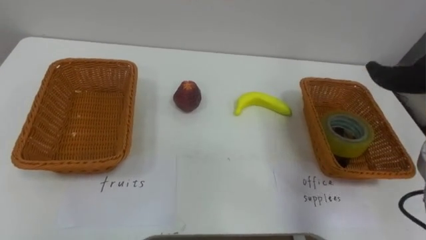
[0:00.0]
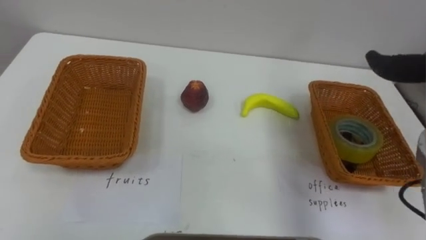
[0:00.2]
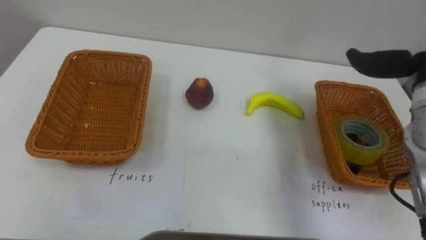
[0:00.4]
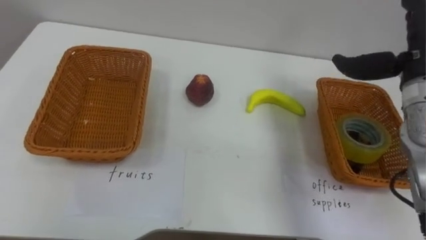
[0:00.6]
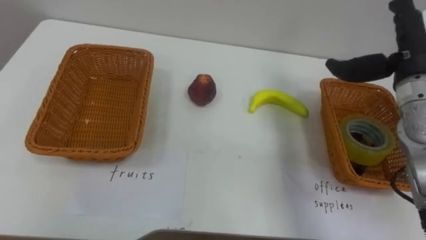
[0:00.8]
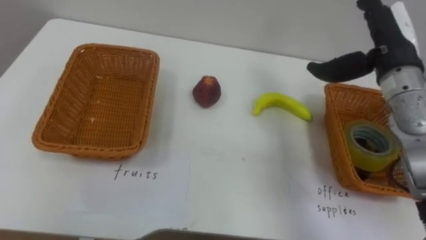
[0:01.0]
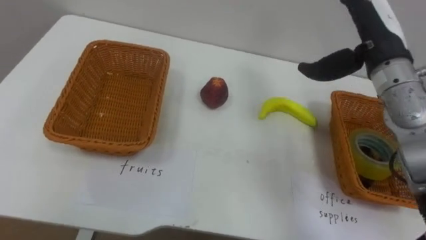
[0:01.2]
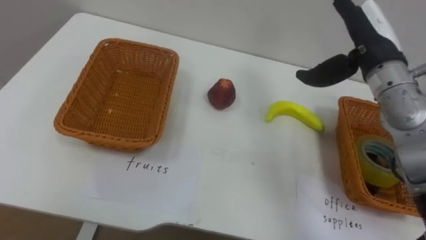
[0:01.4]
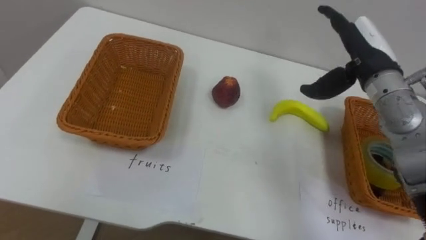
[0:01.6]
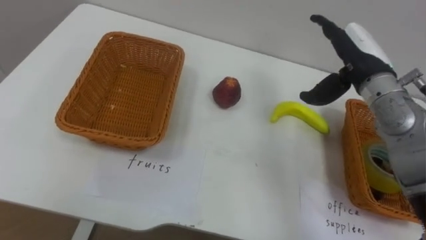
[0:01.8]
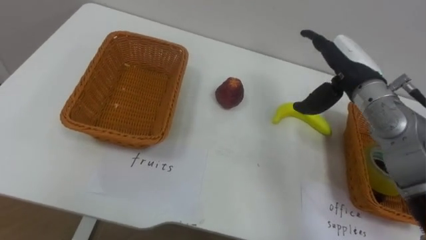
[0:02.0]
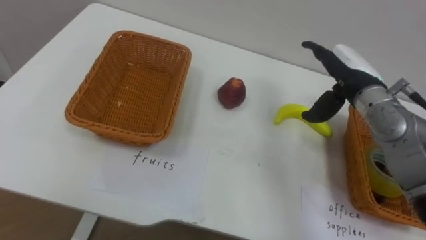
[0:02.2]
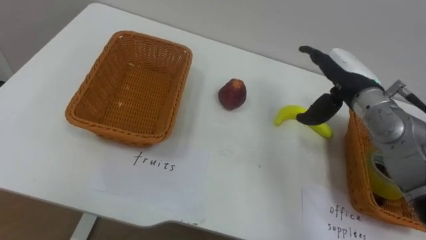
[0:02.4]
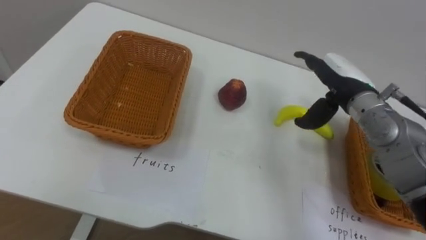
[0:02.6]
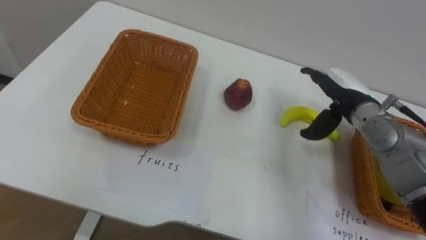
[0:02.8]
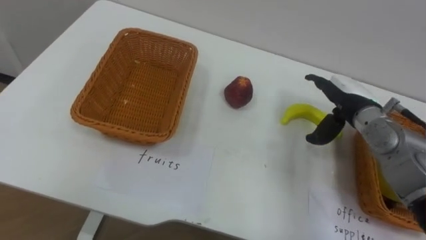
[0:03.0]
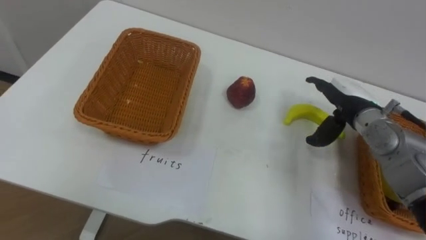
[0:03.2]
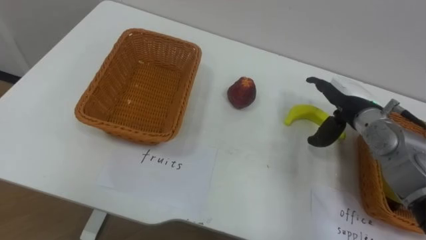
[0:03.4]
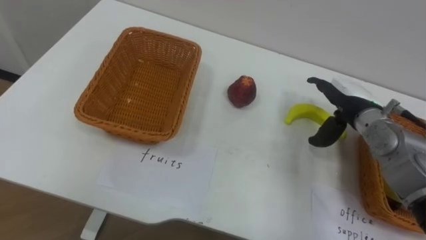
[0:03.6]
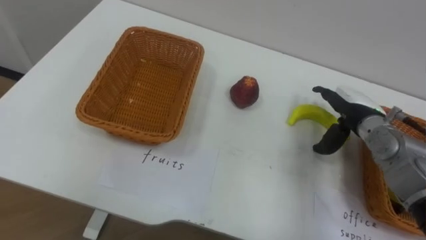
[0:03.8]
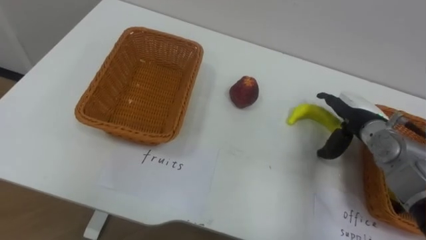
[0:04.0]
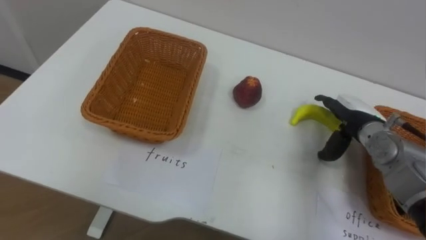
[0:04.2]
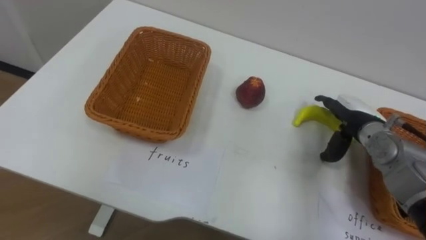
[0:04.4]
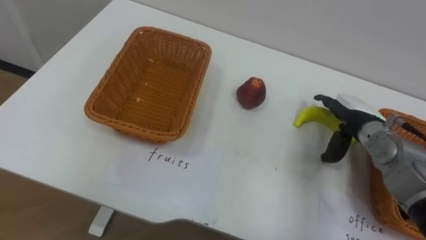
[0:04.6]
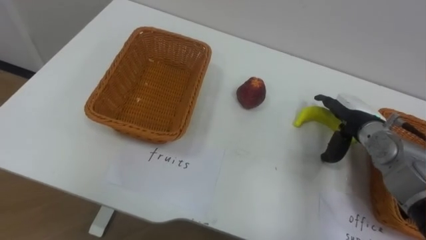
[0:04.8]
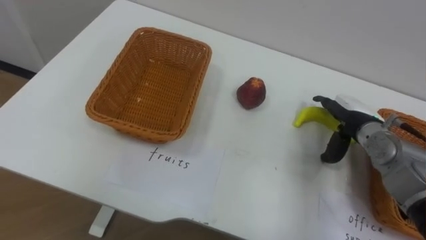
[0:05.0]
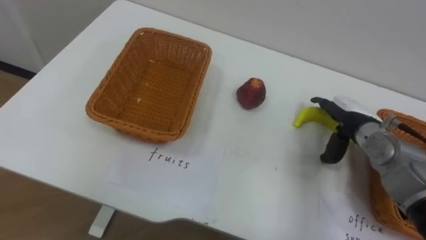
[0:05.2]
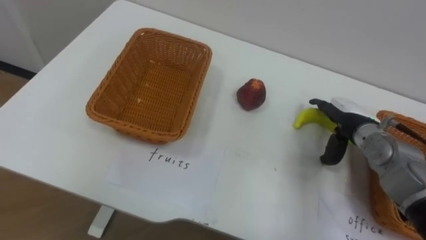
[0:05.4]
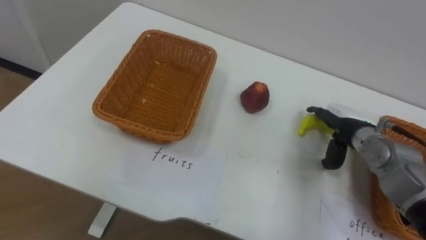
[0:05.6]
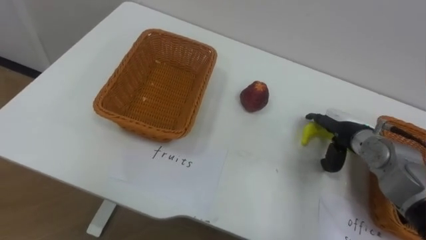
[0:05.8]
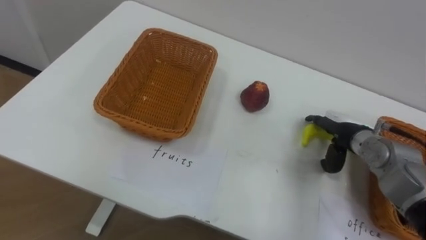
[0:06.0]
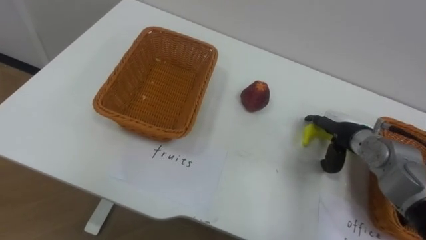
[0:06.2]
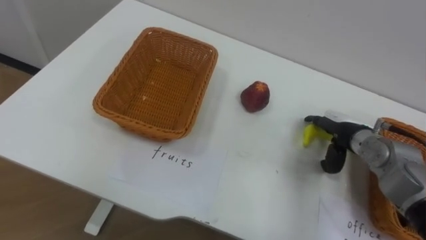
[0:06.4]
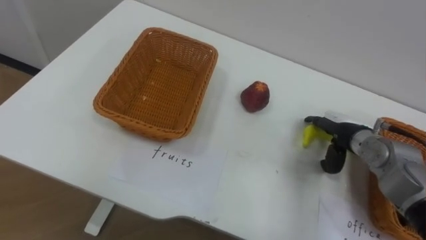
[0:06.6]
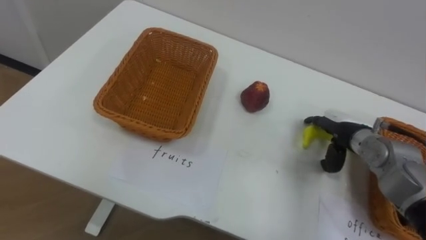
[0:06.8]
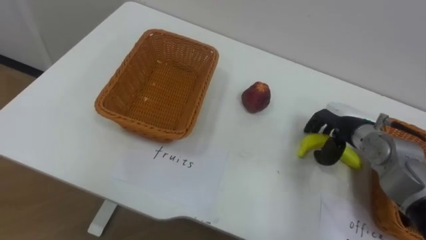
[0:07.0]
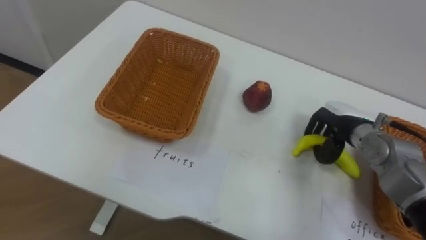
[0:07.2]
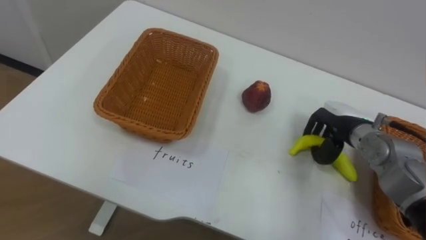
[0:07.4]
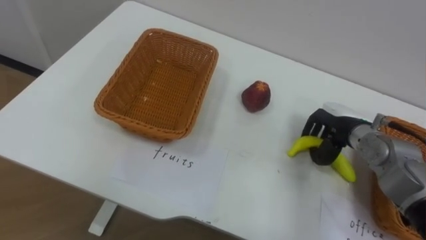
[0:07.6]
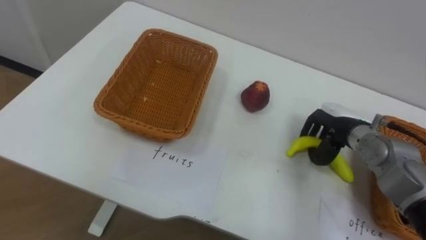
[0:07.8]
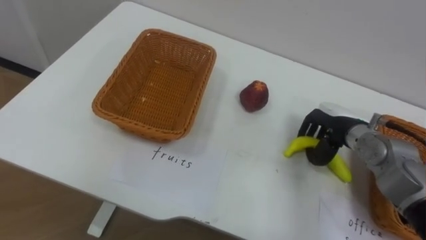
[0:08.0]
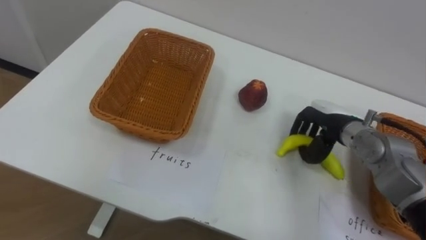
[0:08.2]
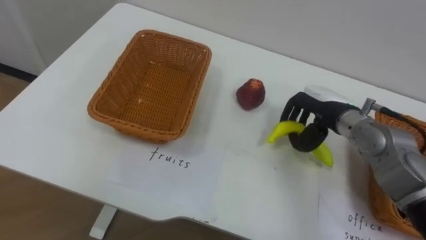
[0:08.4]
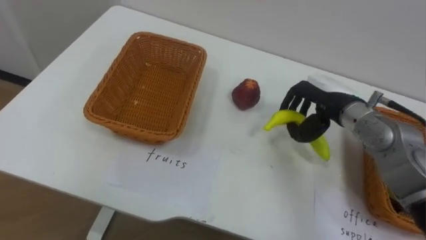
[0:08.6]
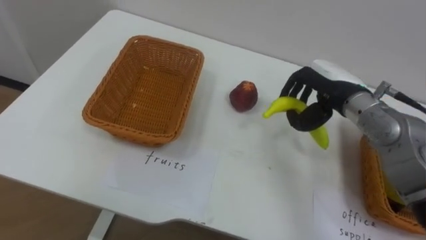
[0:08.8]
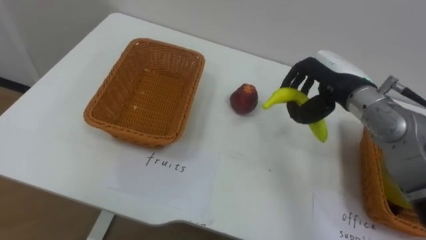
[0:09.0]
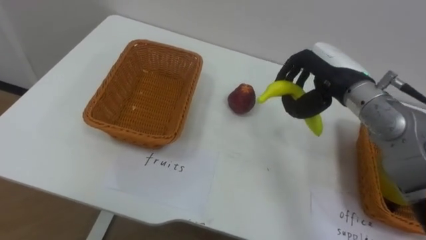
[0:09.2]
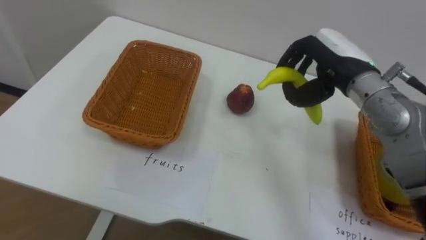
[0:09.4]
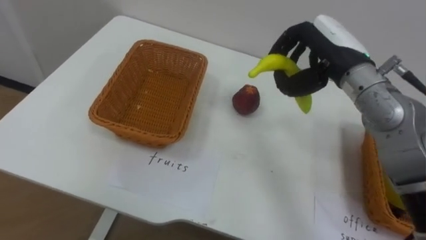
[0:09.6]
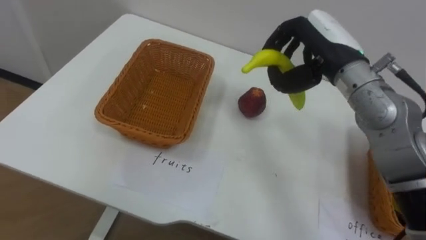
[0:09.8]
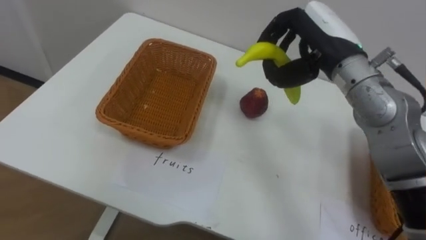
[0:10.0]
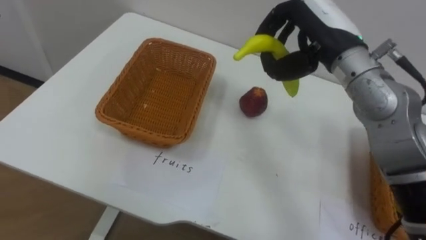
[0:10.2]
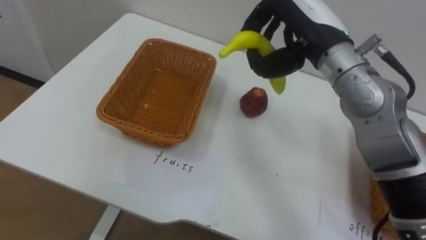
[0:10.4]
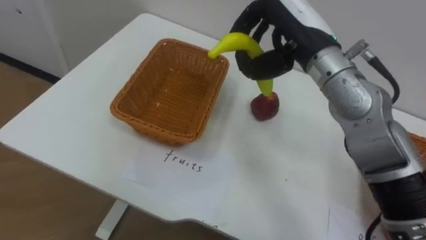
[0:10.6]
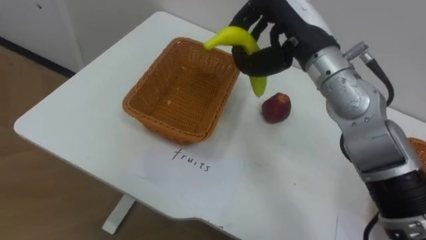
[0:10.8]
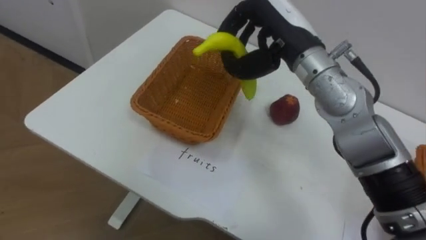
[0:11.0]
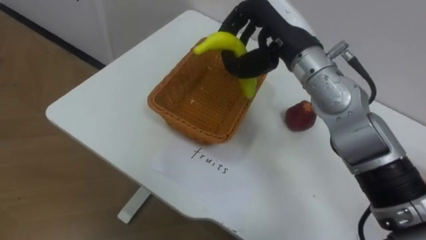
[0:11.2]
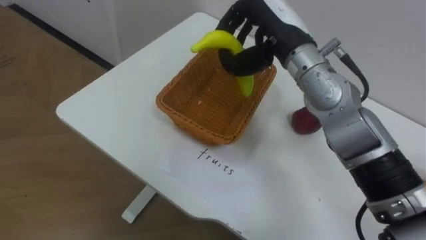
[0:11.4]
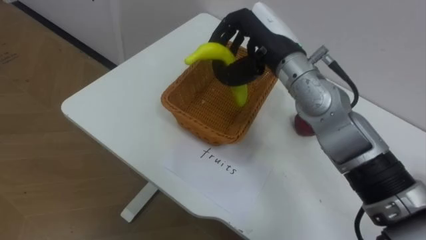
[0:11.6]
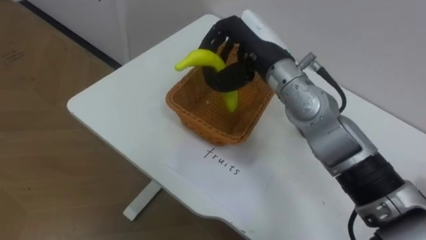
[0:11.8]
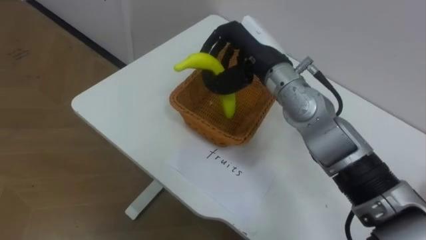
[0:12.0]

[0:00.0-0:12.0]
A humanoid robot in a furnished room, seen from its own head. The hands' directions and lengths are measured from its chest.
Task of the whole recording: Separate the items on the table and place them into the two baskets.
0:01.6 to 0:03.0: The right hand travels downward by approximately 10 cm.
0:06.0 to 0:07.6: The right hand closes its fingers.
0:07.6 to 0:09.0: The right hand shifts roughly 10 cm upward.
0:09.0 to 0:10.4: The right hand travels upward and to the left by some 10 cm.
0:10.4 to 0:12.0: The right hand shifts about 10 cm to the left and downward.

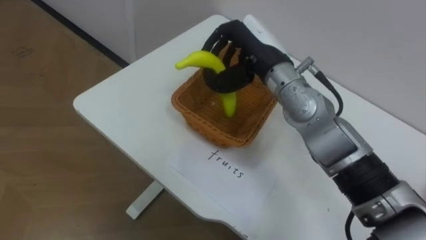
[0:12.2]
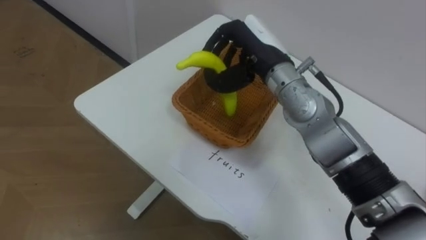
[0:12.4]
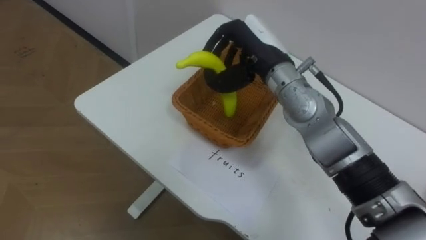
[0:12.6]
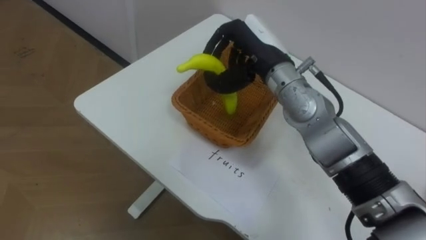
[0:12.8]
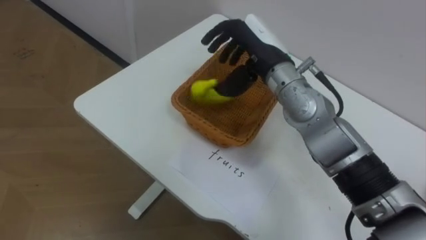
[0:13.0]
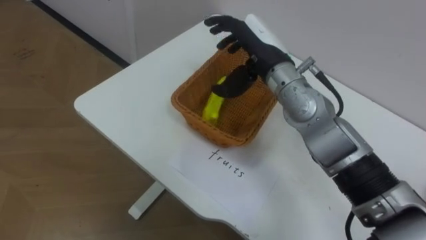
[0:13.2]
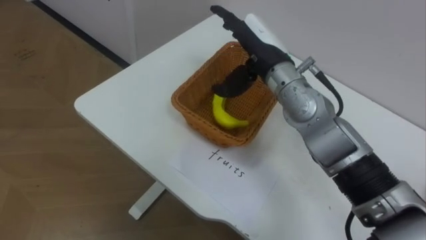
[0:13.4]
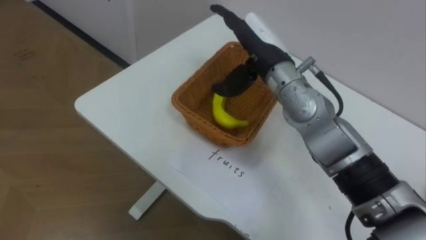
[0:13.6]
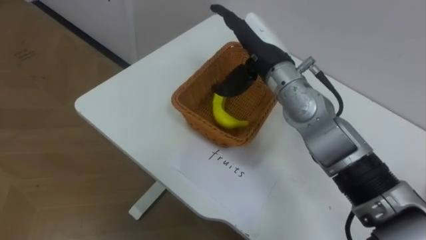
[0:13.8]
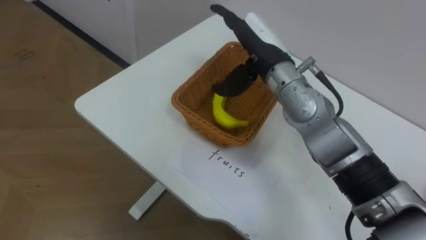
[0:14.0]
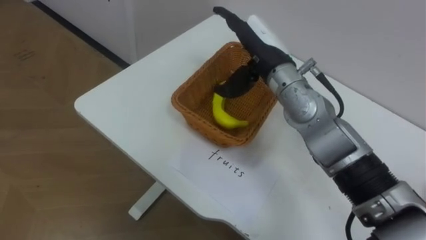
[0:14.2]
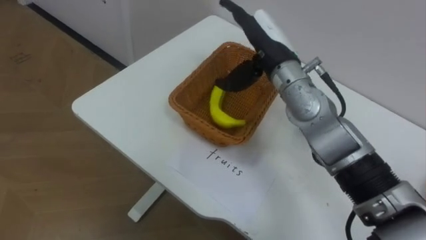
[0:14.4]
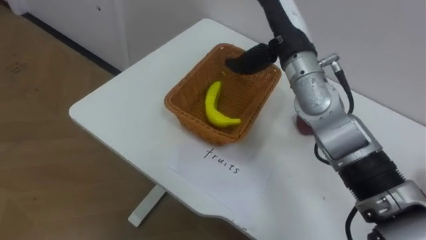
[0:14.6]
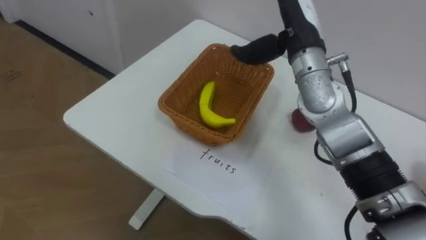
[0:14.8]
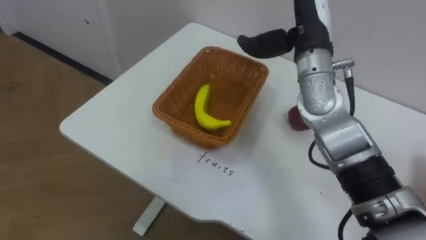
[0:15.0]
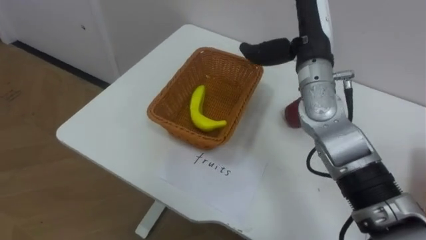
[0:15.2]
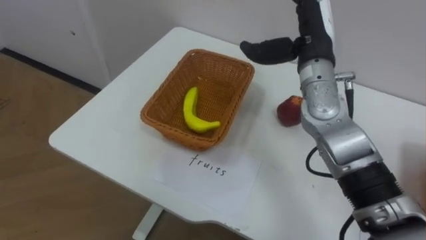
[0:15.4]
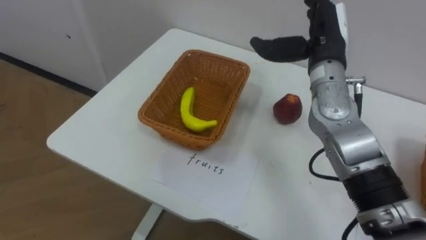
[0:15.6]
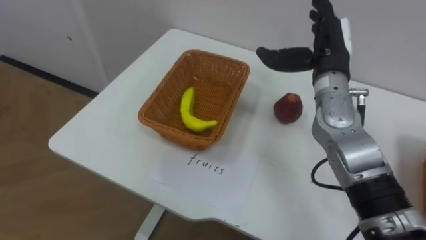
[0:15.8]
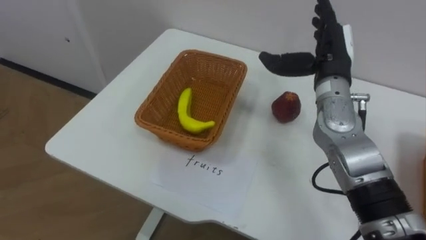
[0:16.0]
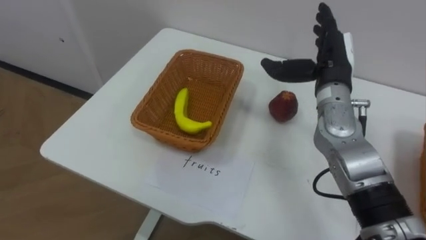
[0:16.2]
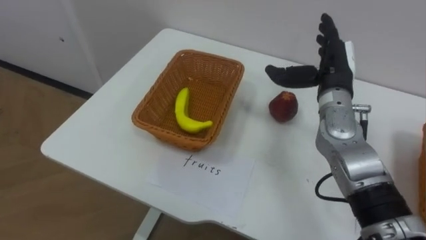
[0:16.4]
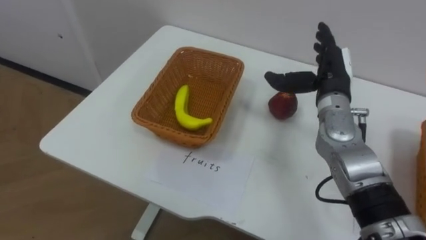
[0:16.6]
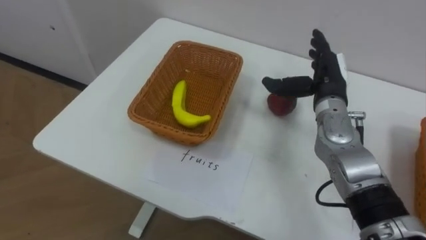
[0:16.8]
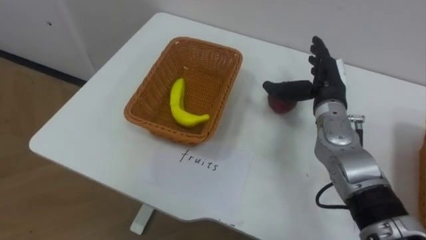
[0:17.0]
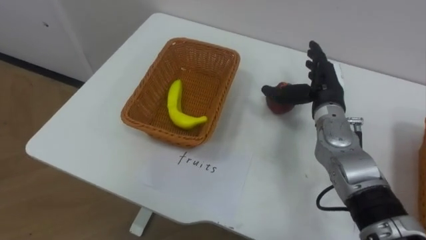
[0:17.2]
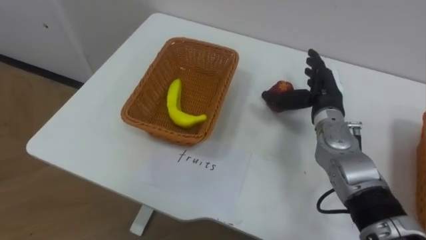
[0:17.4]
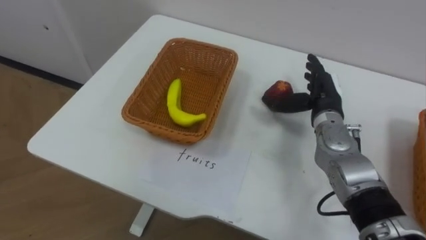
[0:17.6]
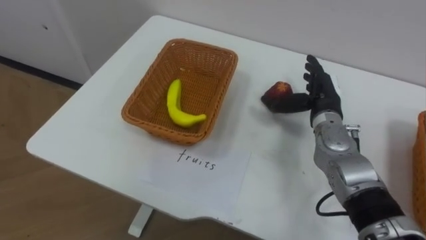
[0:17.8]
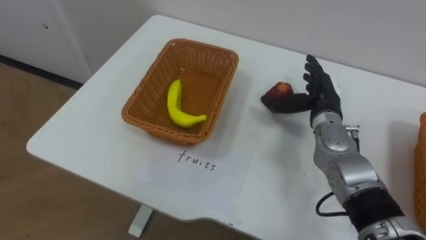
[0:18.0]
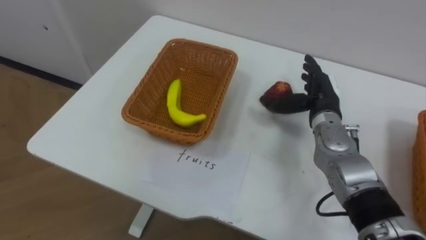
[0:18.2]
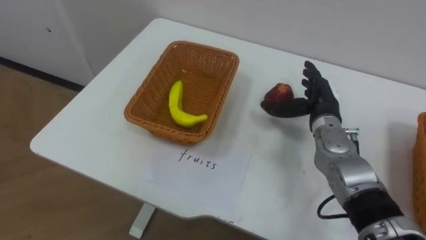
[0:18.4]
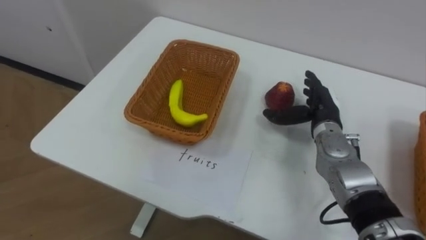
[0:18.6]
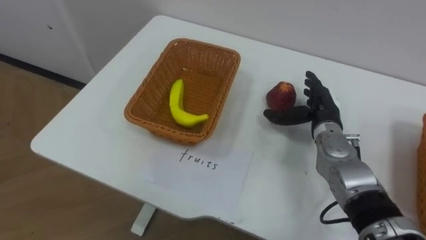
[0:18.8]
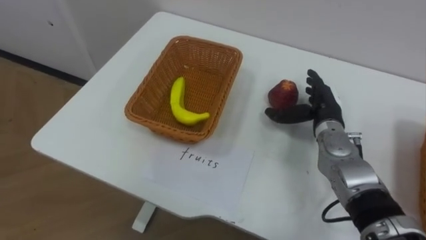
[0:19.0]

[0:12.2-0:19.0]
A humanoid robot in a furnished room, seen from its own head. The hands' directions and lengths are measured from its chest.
Task of the whole recording: Separate the items on the table and place them into the two baskets.
0:12.2 to 0:13.6: The right hand opens.
0:13.6 to 0:15.0: The right hand is displaced to the right by about 5 cm.
0:15.0 to 0:16.2: The right hand goes roughly 10 cm downward and to the right.
0:16.2 to 0:17.6: The right hand heads downward, covering about 10 cm.
